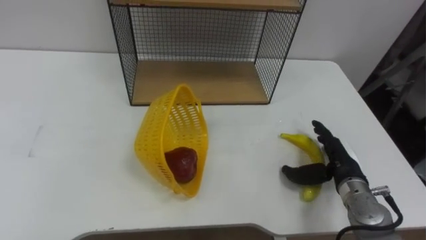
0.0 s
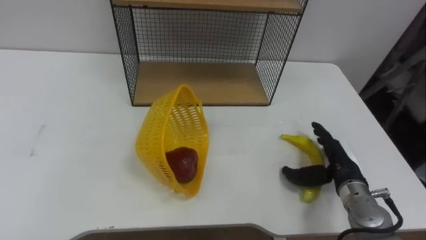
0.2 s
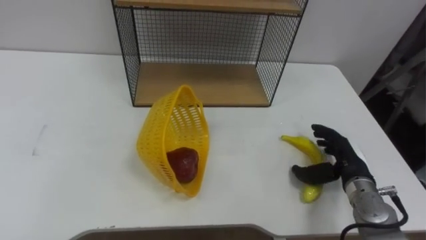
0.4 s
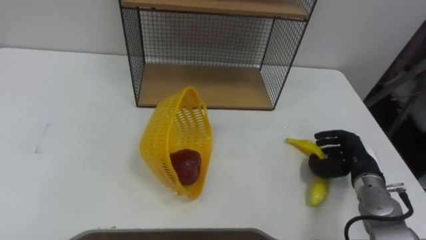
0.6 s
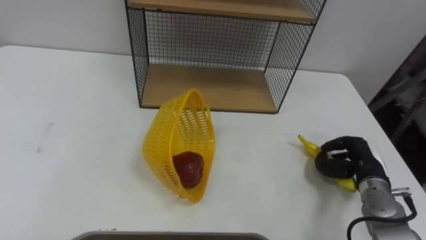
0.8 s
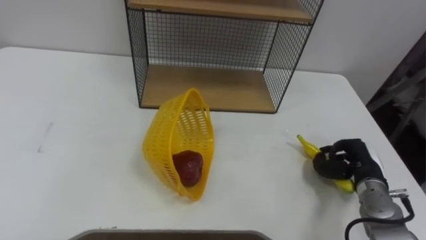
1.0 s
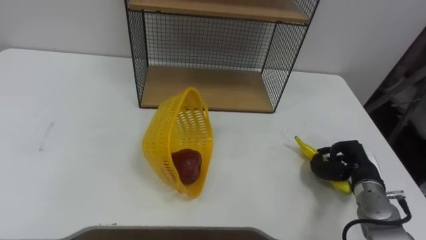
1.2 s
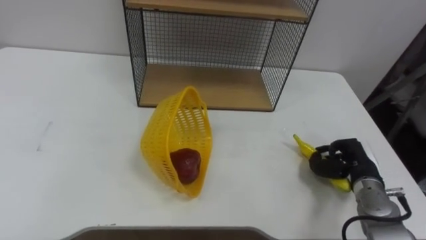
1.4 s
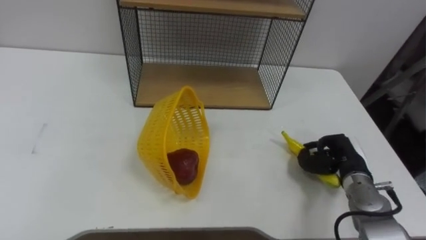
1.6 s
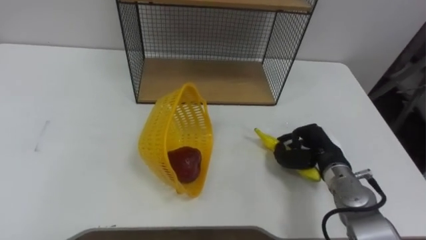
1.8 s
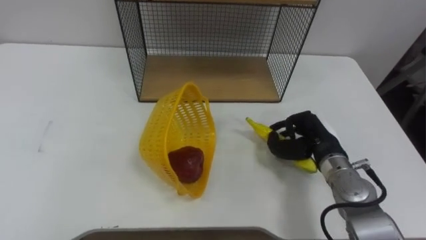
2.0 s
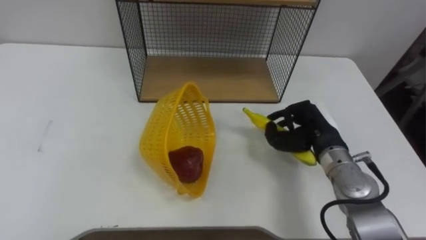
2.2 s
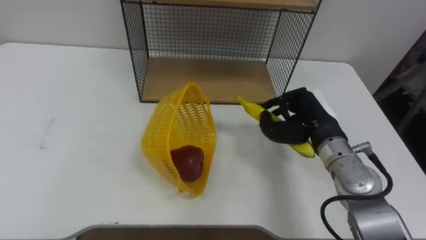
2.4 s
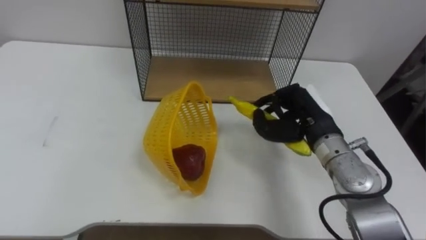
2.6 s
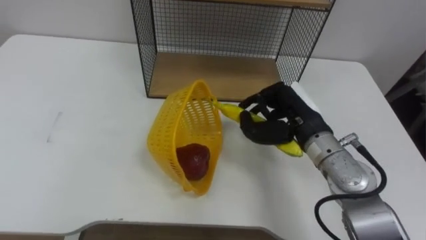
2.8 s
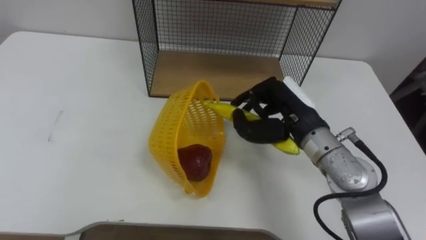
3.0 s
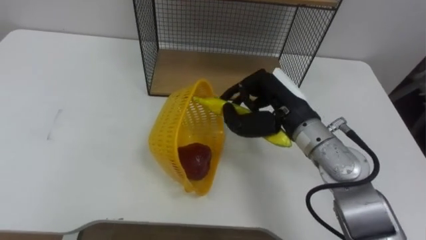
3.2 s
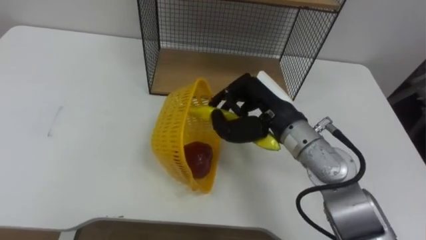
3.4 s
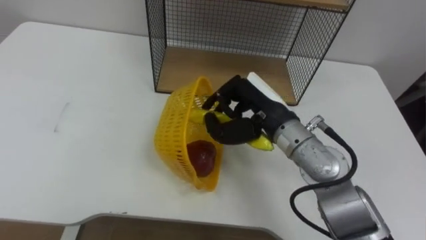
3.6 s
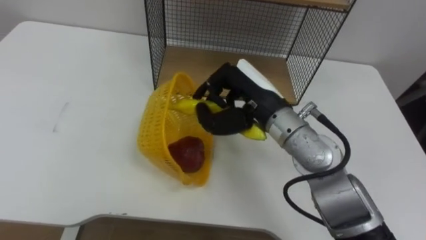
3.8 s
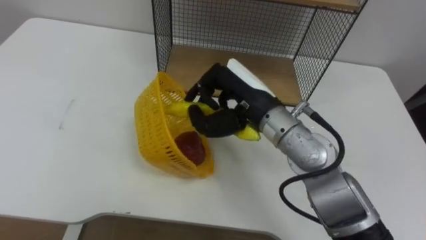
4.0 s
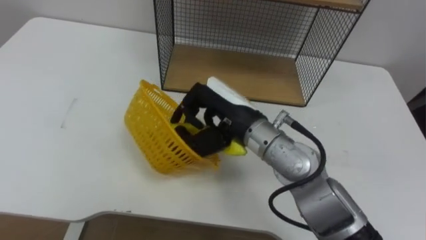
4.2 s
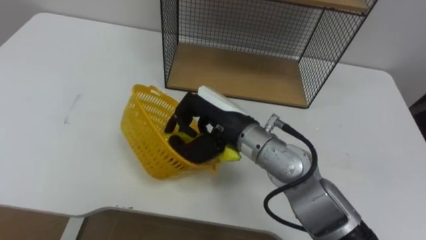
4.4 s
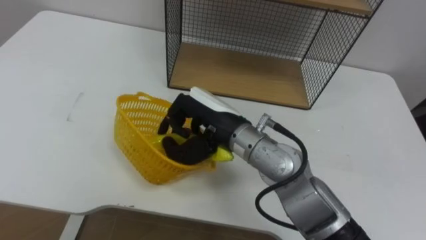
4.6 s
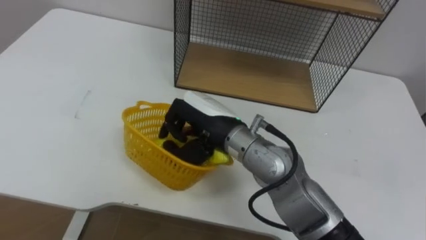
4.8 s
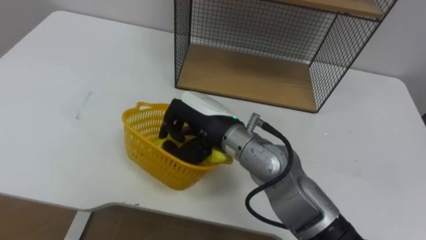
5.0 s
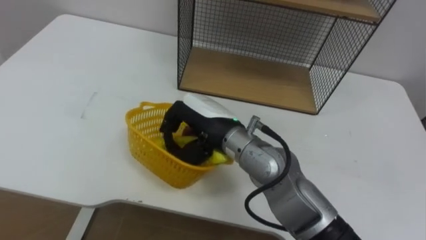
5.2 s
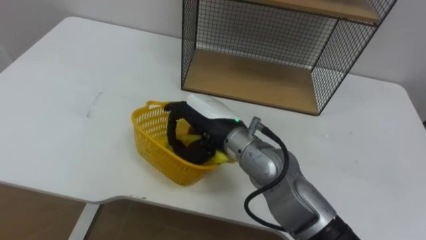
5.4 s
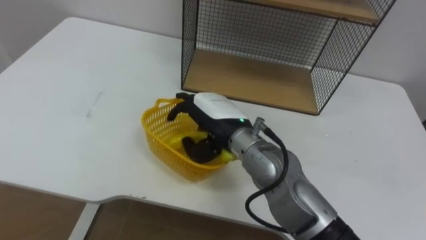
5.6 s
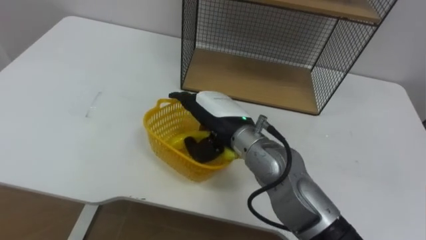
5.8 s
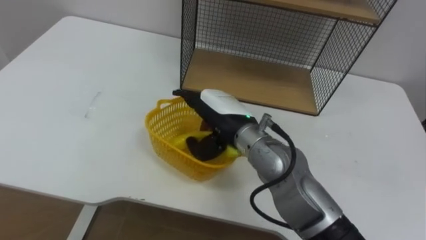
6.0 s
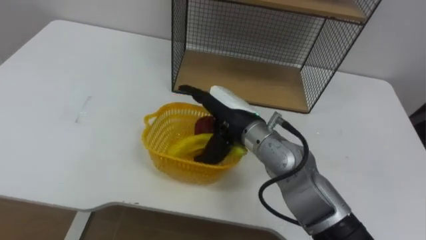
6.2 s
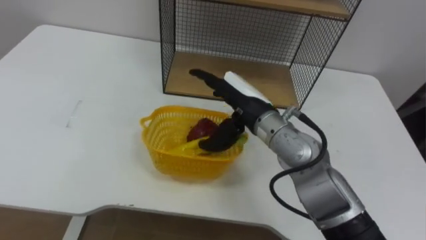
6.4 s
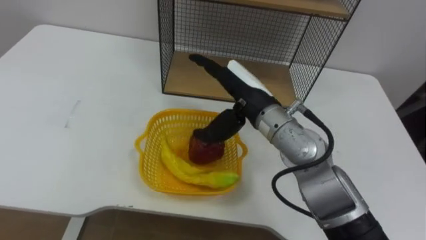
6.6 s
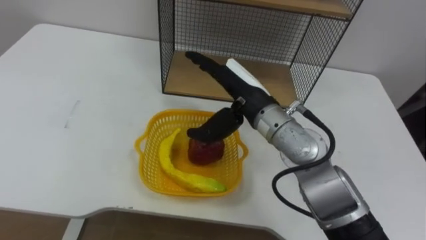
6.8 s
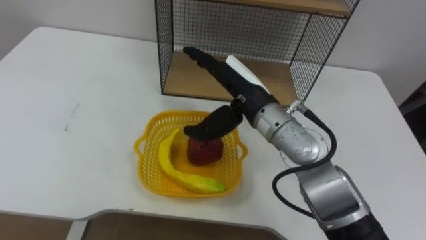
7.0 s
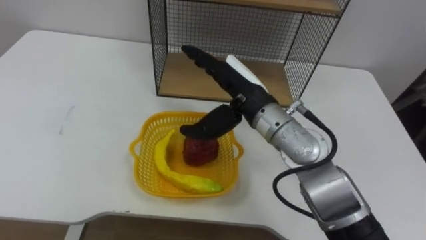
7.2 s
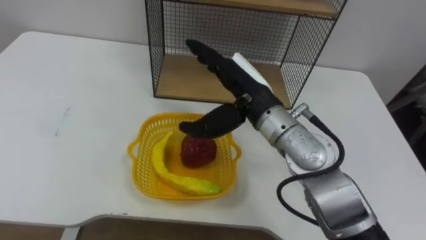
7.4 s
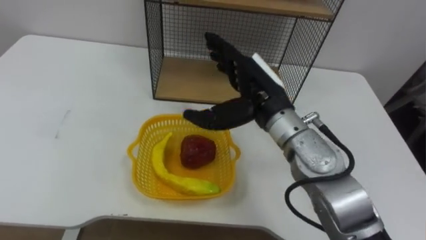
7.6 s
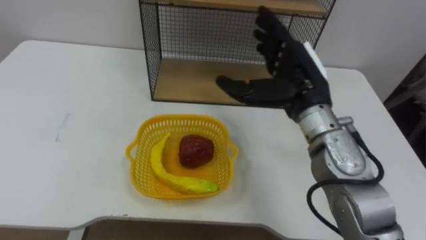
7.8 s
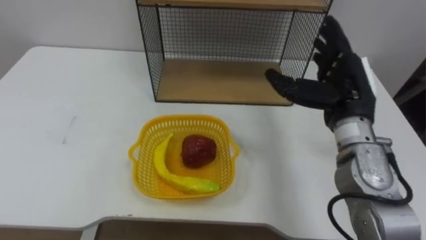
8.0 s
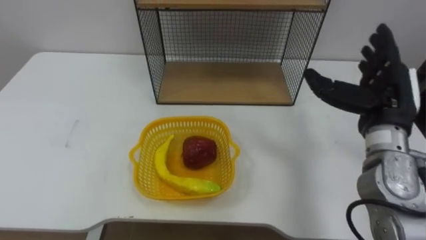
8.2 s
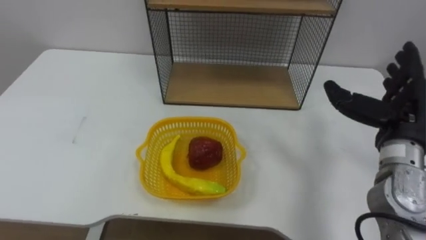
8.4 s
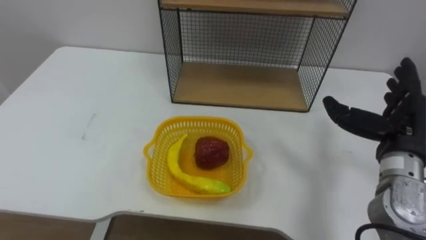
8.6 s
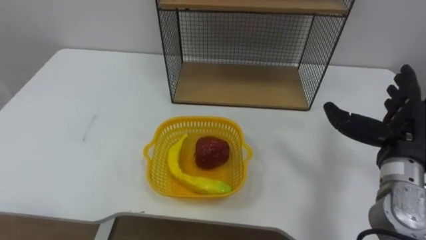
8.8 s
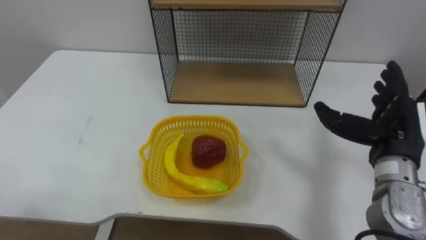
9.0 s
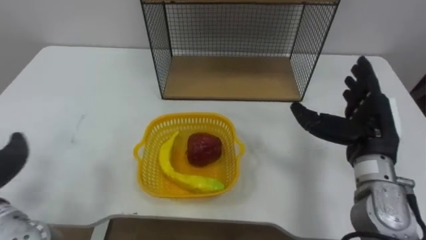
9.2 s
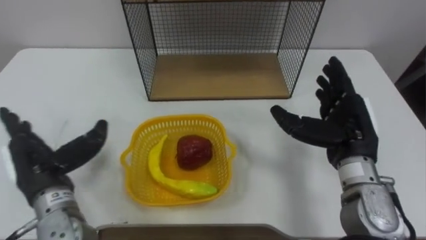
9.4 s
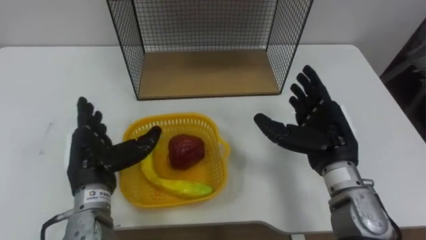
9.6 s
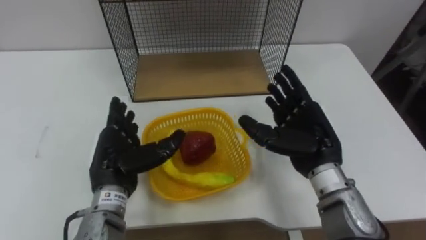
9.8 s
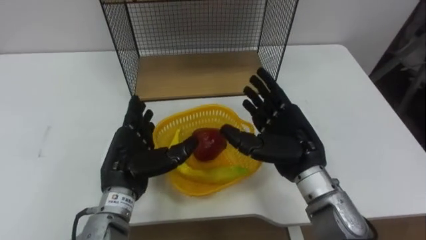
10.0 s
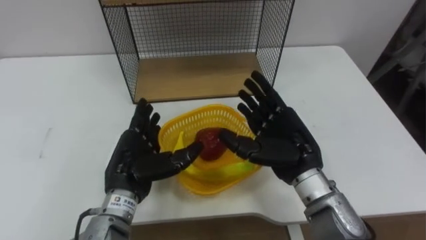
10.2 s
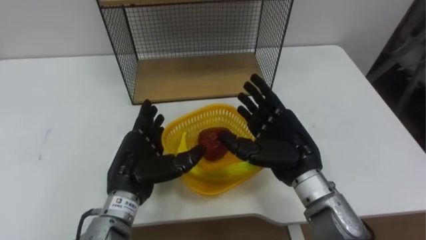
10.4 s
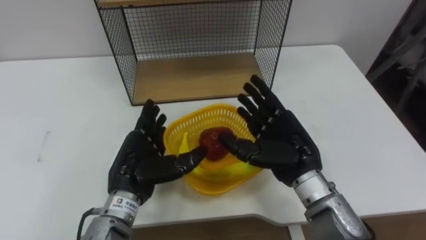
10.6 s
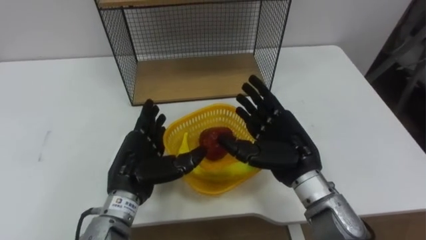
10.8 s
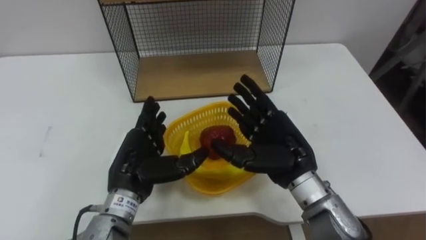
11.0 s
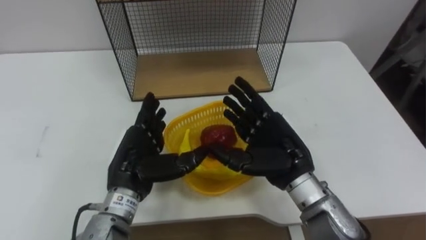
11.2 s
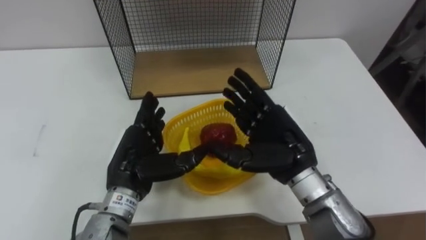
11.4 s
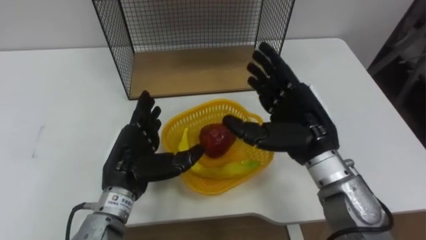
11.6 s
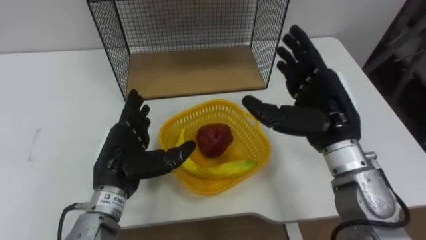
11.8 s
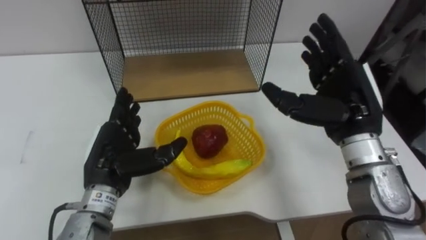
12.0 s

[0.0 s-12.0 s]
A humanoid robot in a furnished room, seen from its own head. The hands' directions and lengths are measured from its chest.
Task of the whole recording: Put the fruit on the table into the basket, then place the basket on the shelf.
0.0 to 1.6 s: The right hand closes its fingers.
1.6 to 3.0 s: The right hand moves upward and to the left, about 20 cm.
3.0 to 4.4 s: The right hand goes approximately 10 cm to the left.
4.4 to 6.0 s: The right hand opens up.
6.0 to 7.6 s: The right hand goes about 10 cm upward and to the right.
7.6 to 9.0 s: The right hand shifts some 20 cm to the right.
9.0 to 10.4 s: The right hand shifts approximately 15 cm to the left.
10.4 to 12.0 s: The right hand travels upward and to the right by roughly 10 cm.

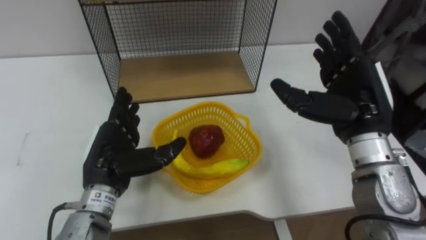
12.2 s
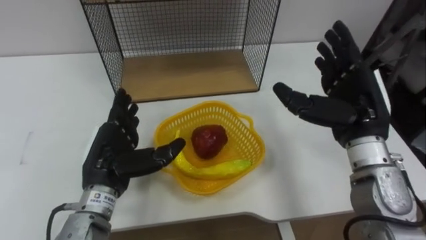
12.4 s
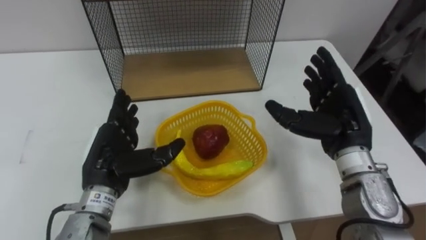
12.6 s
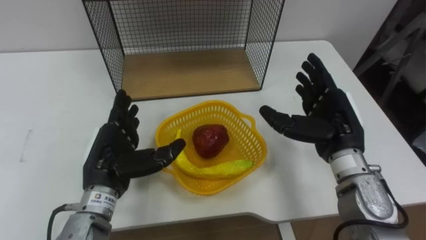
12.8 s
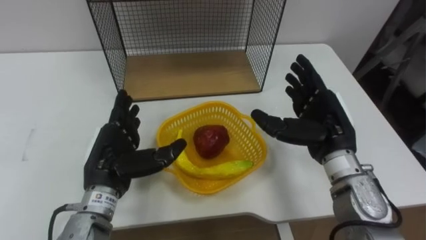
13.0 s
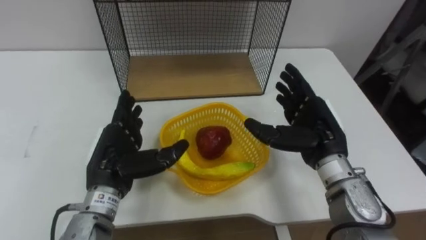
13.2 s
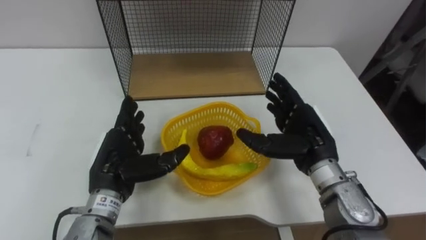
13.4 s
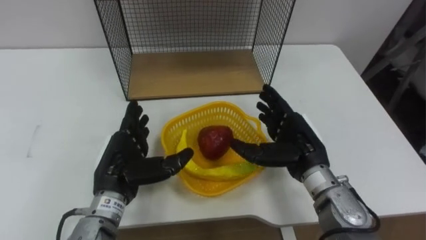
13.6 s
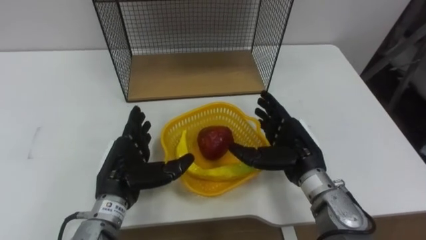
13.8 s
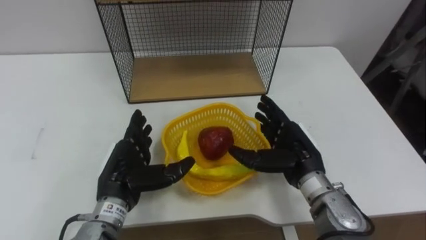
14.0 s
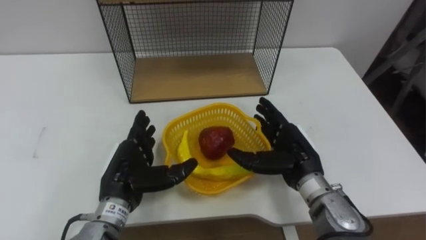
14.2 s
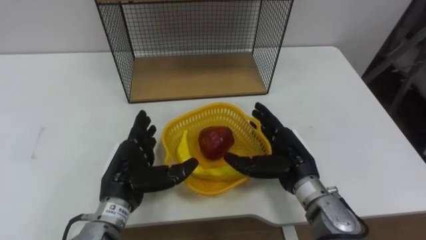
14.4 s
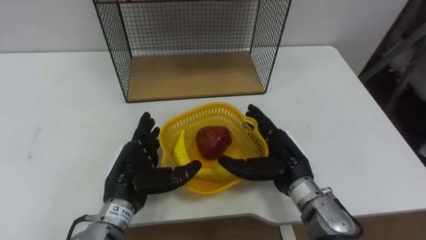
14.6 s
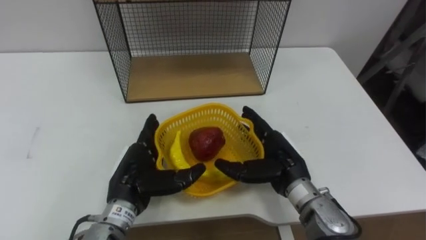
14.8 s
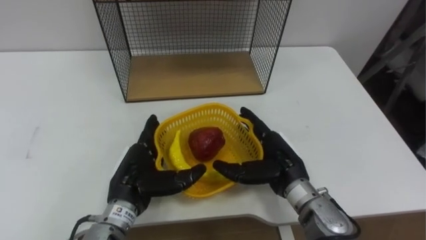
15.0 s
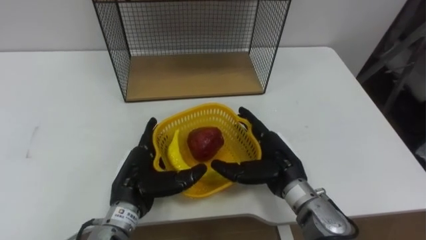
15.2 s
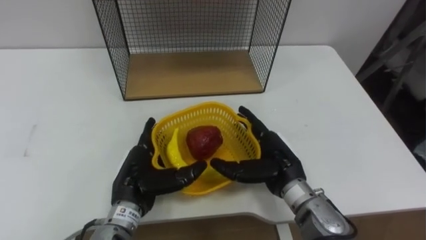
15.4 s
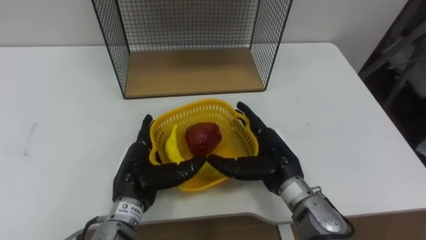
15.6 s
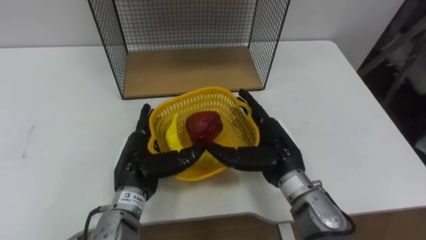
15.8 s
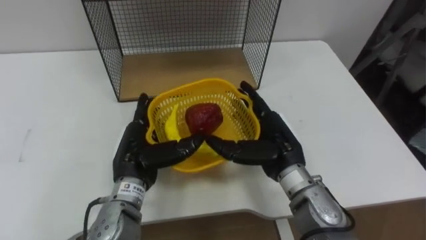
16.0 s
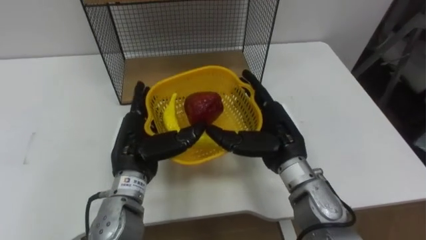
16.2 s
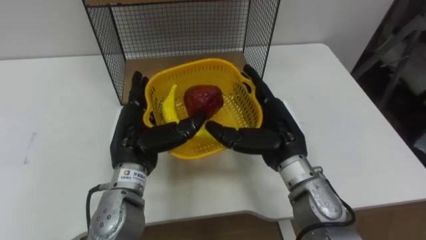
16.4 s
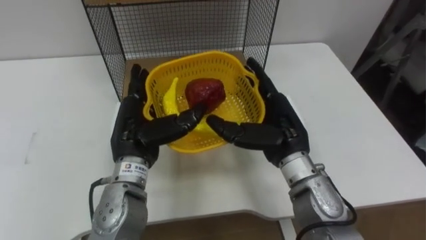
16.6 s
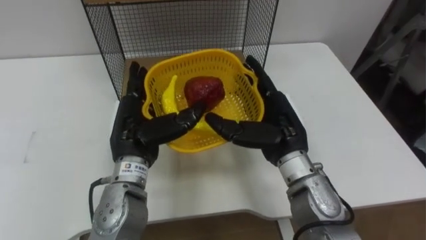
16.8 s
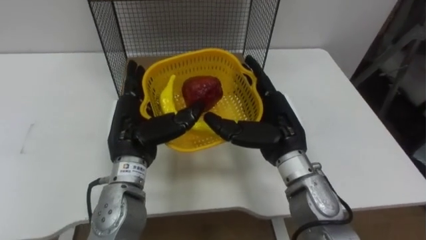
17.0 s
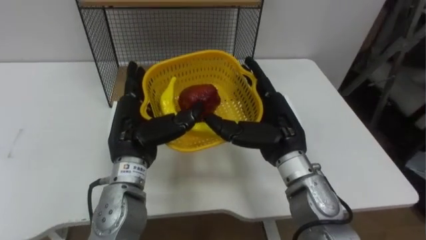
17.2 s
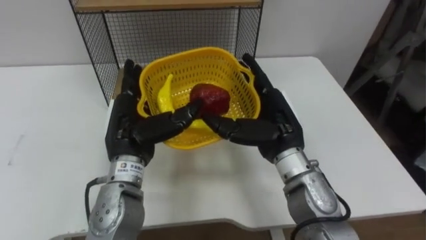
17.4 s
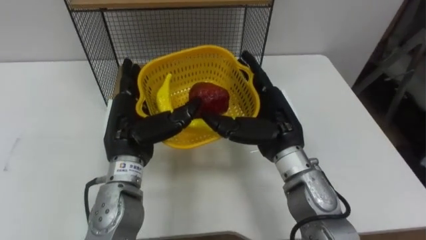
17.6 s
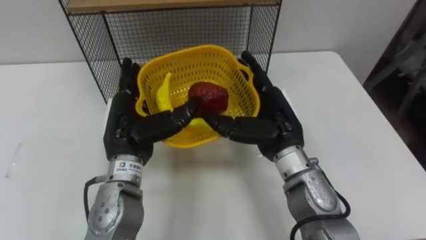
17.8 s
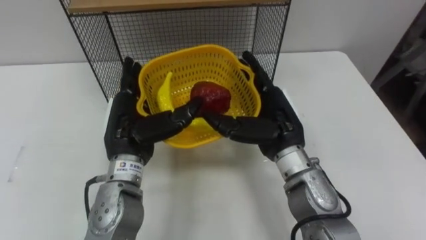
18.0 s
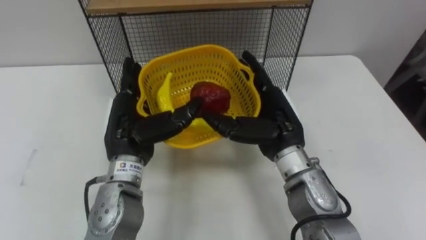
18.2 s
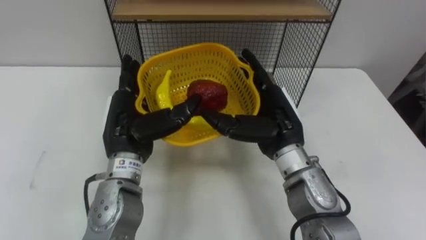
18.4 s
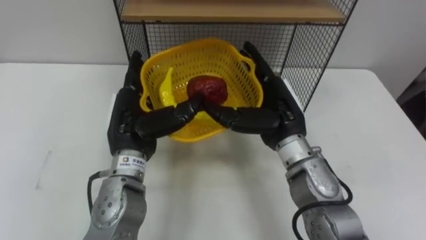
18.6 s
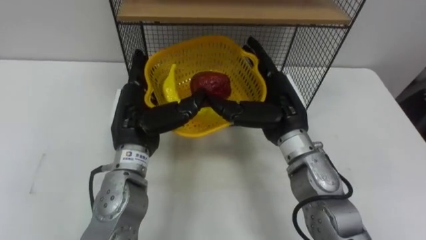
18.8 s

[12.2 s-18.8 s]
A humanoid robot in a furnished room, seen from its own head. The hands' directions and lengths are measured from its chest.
Task of the whole recording: Put the fruit on the table into the basket, then place the basket on the shelf.
12.2 to 13.8 s: The right hand heads downward and to the left, covering some 15 cm.
15.4 to 17.2 s: The two hands go approximately 10 cm upward.
